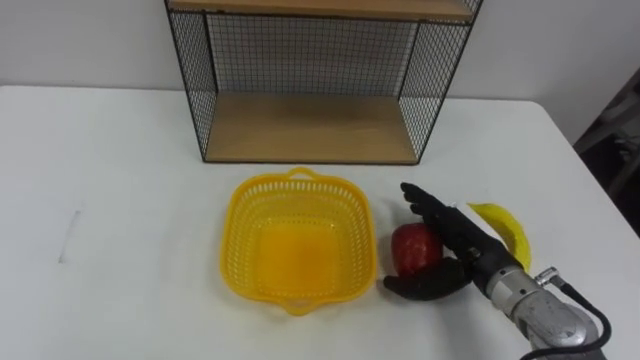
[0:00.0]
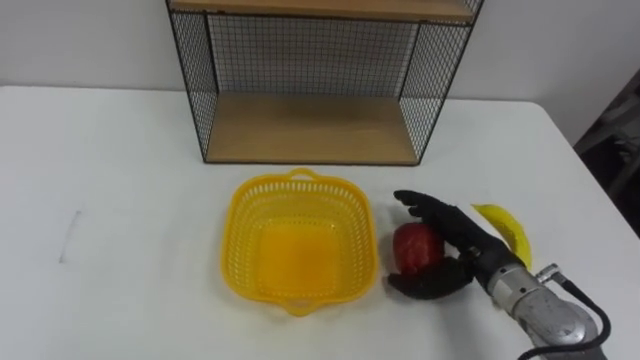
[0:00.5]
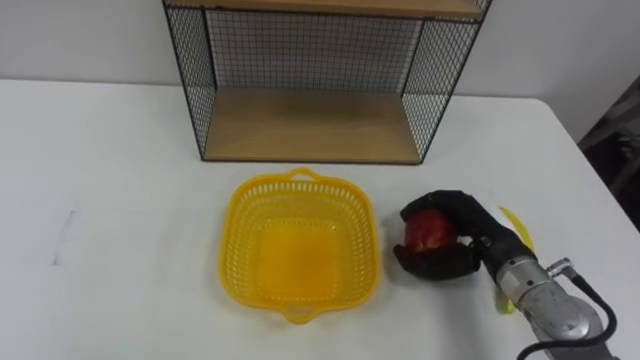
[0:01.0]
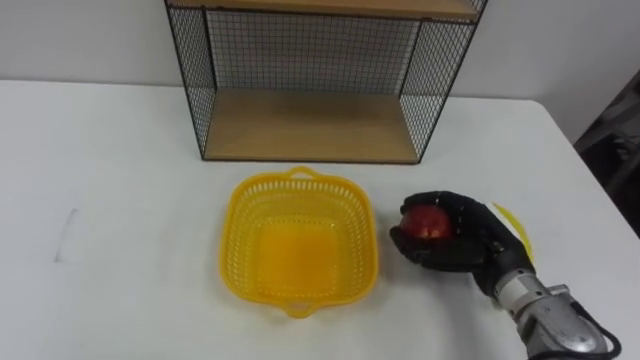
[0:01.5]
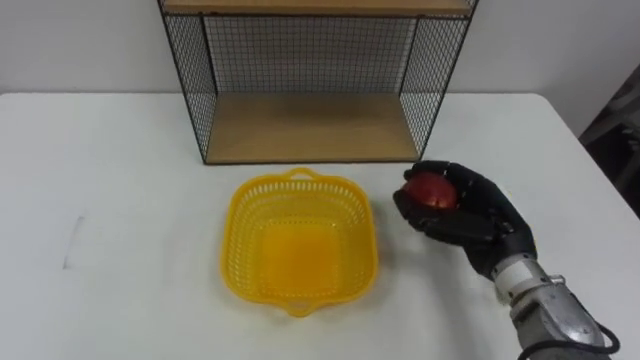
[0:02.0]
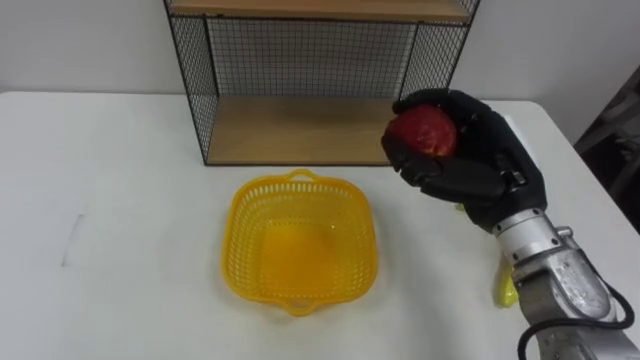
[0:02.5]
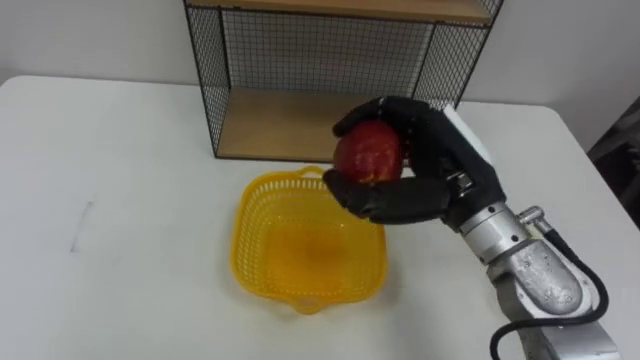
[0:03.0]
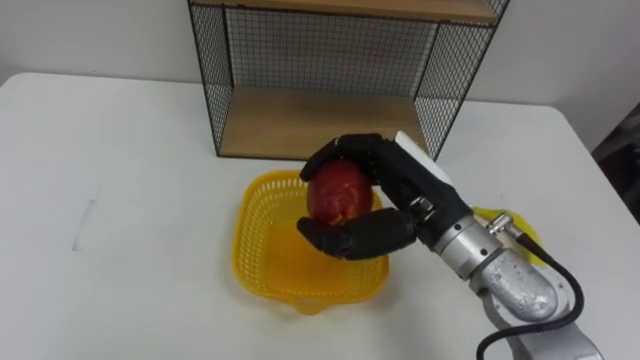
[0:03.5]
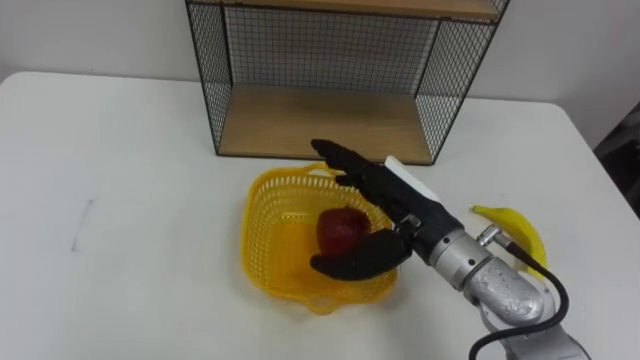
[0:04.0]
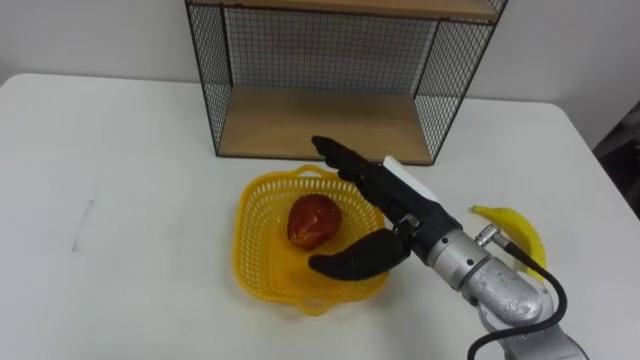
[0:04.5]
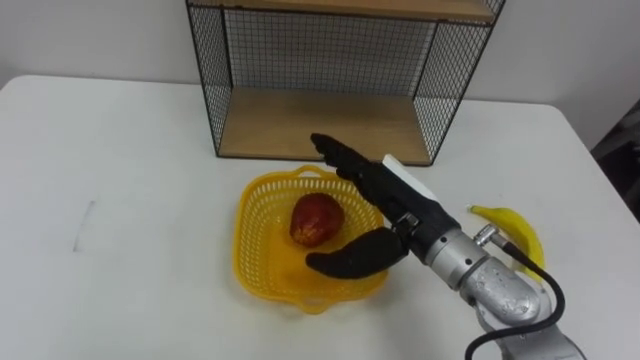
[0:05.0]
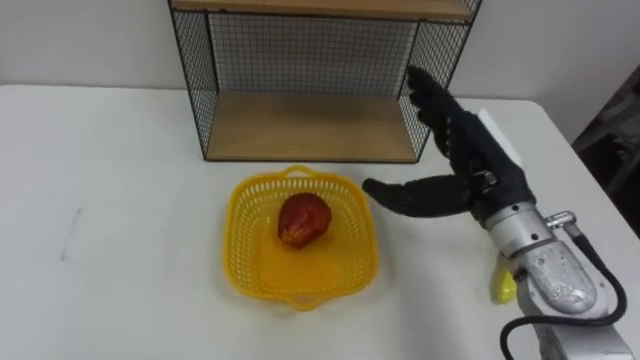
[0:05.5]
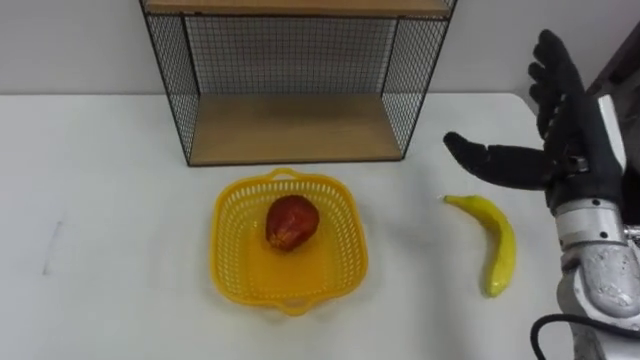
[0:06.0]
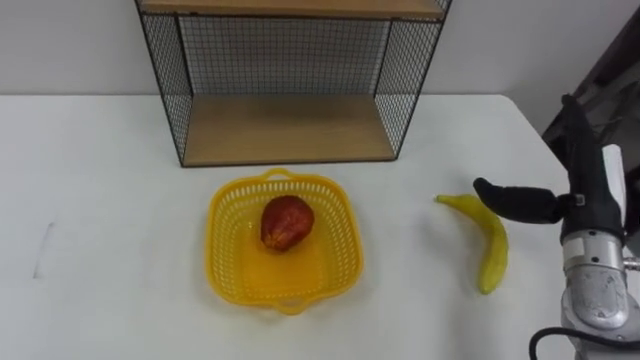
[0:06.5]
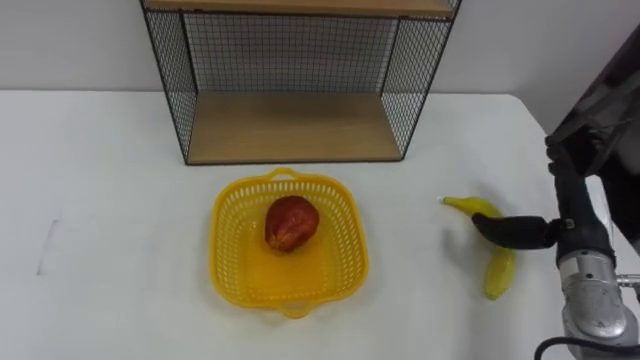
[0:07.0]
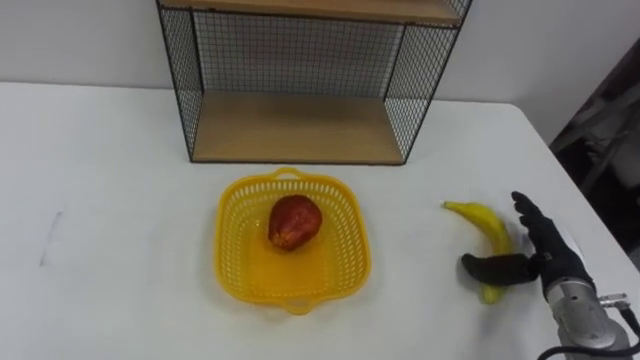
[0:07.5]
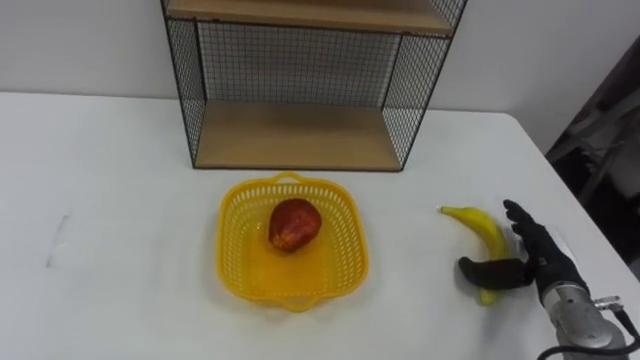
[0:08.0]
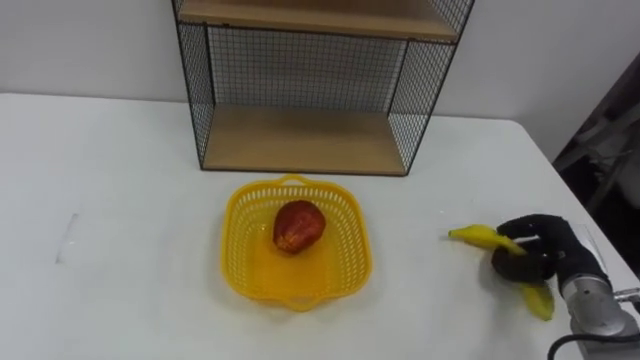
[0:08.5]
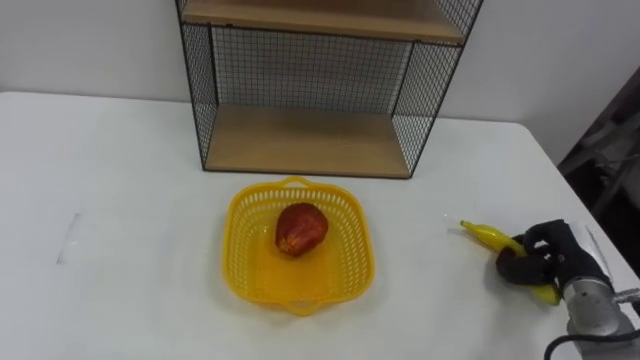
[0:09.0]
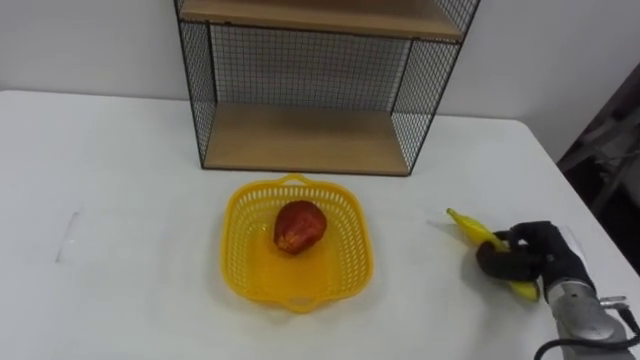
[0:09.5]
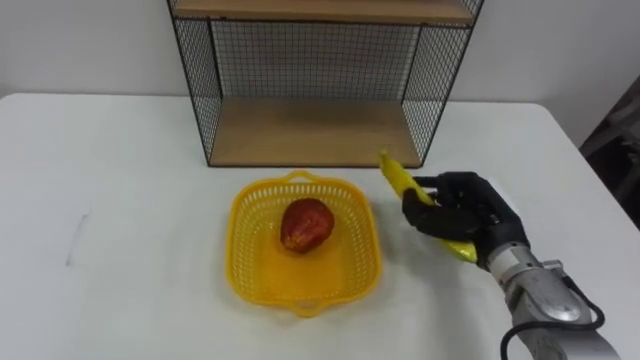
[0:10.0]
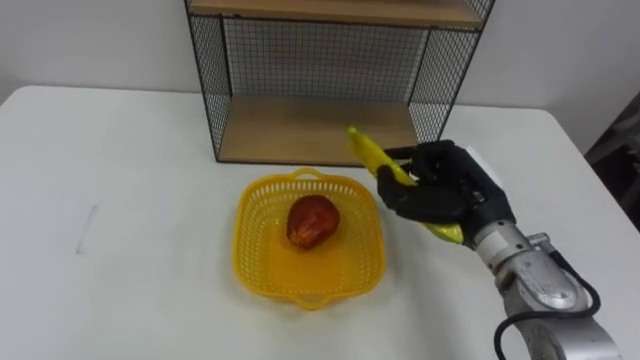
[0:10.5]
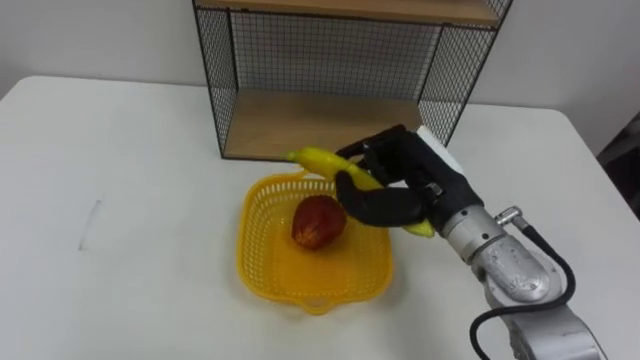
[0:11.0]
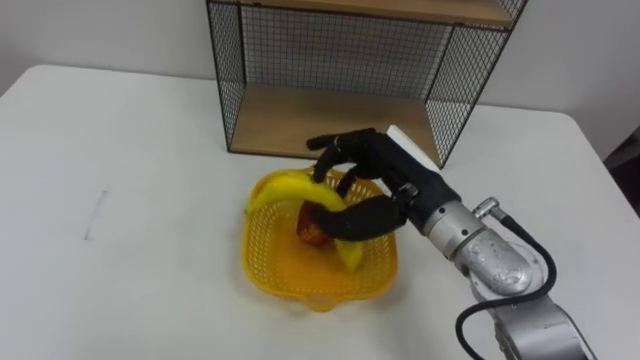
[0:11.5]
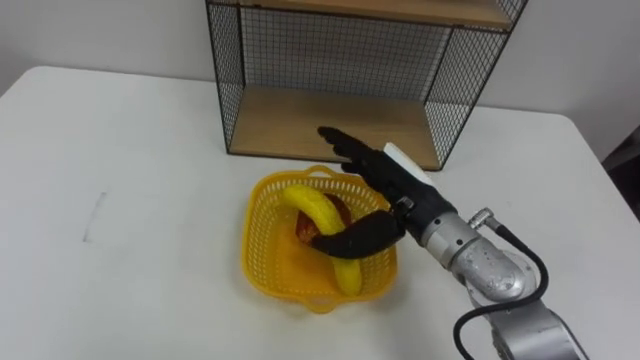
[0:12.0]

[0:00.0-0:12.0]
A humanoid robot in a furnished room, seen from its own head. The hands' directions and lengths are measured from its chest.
Task of the whole recording: Put the fruit on the table into the basket, then place the basket on the shelf.
0:00.0 to 0:02.0: The right hand closes its fingers.
0:02.0 to 0:04.0: The right hand goes some 10 cm to the left and upward, and opens up.
0:04.0 to 0:06.0: The right hand shifts roughly 15 cm to the right.
0:06.0 to 0:08.0: The right hand goes roughly 20 cm downward.
0:08.0 to 0:10.0: The right hand shifts roughly 10 cm to the left and upward, and closes.
0:10.0 to 0:12.0: The right hand moves to the left and upward, some 15 cm, and opens.

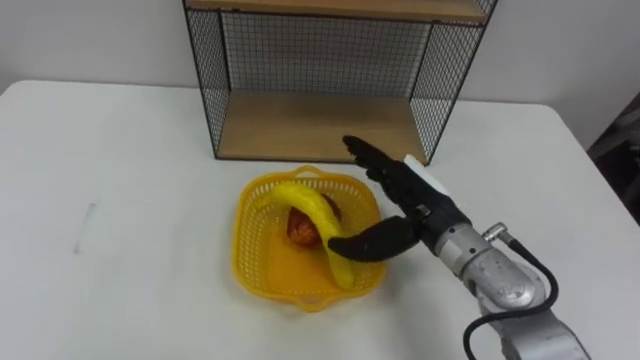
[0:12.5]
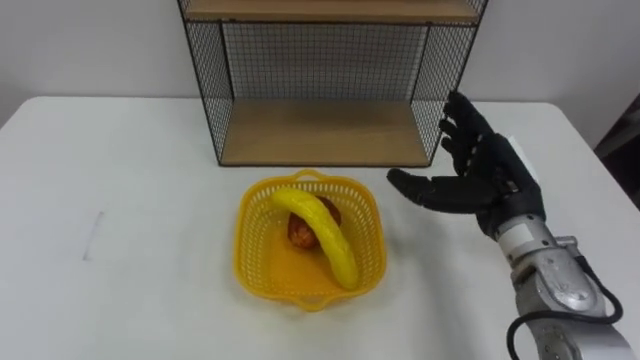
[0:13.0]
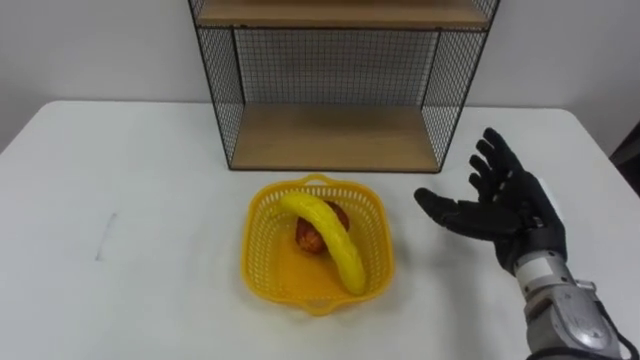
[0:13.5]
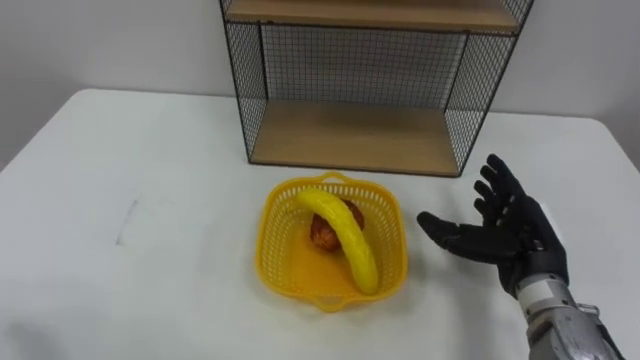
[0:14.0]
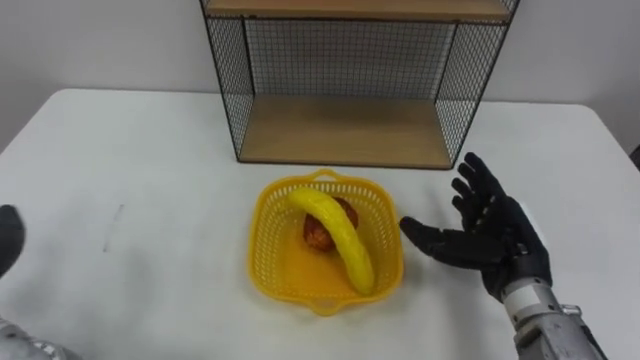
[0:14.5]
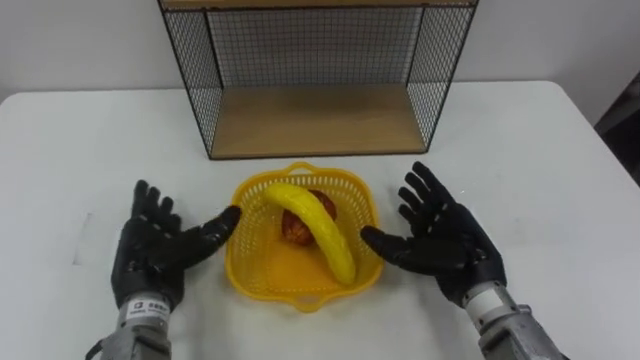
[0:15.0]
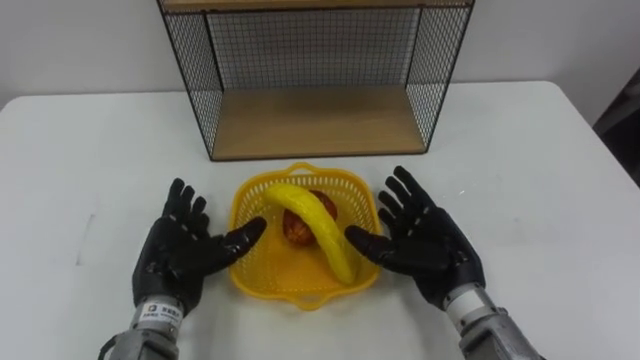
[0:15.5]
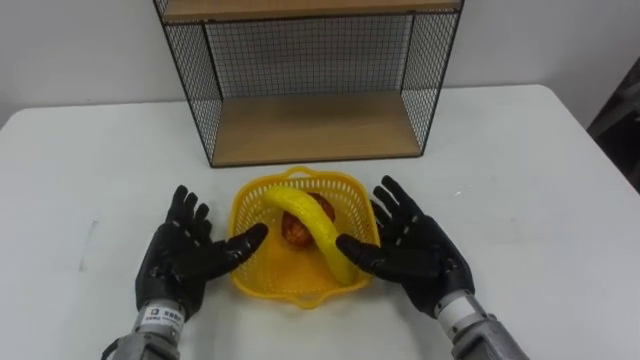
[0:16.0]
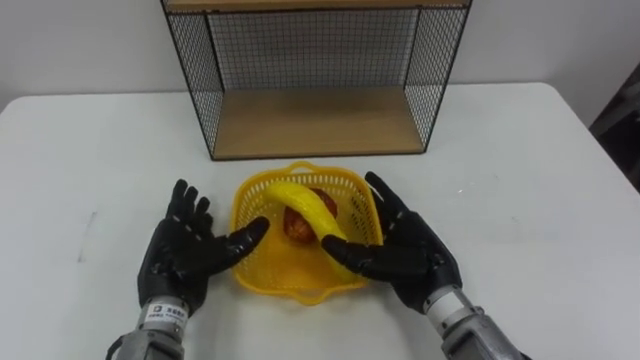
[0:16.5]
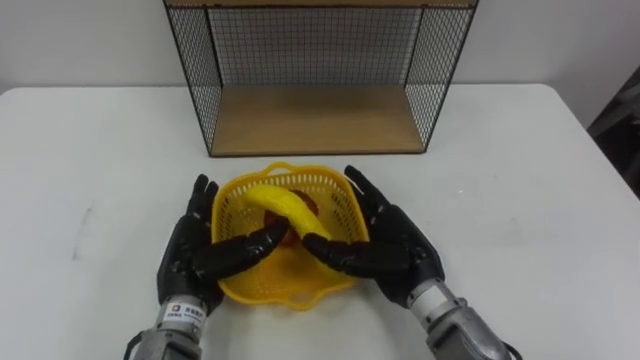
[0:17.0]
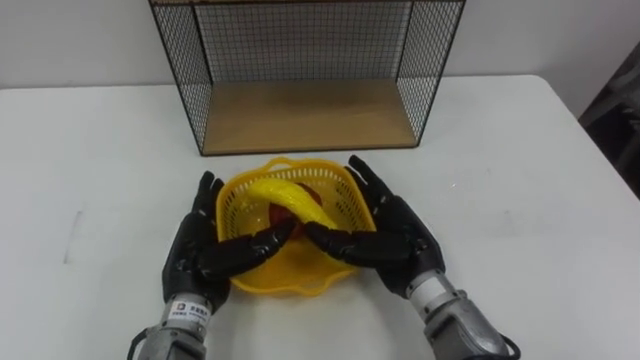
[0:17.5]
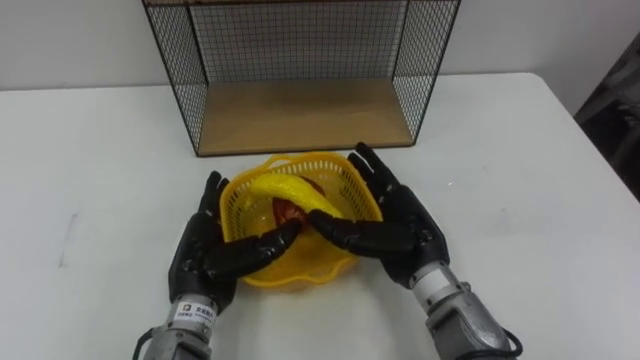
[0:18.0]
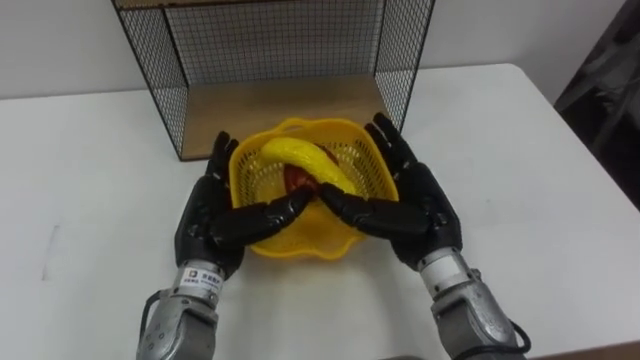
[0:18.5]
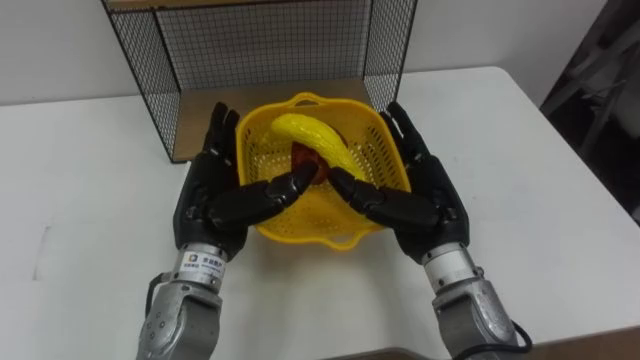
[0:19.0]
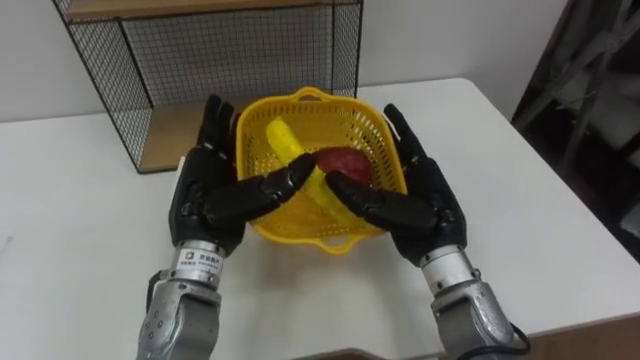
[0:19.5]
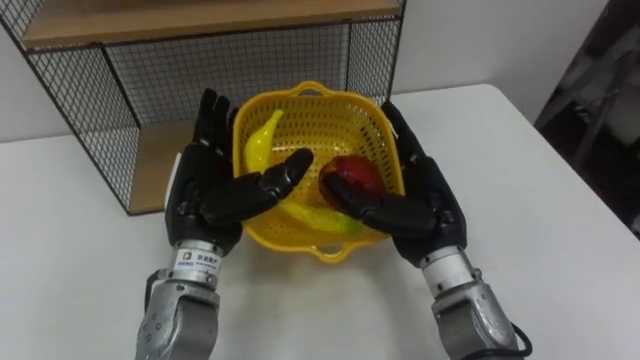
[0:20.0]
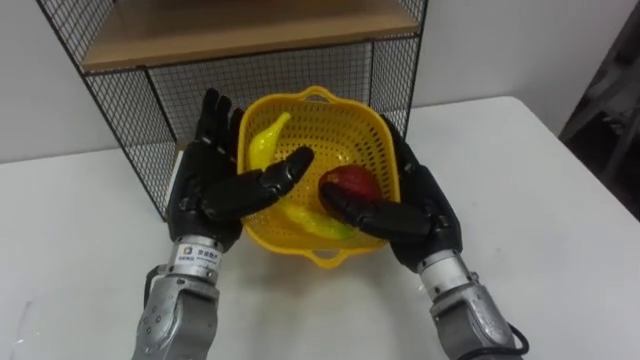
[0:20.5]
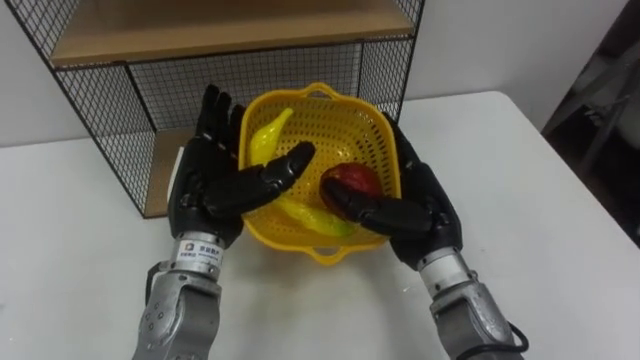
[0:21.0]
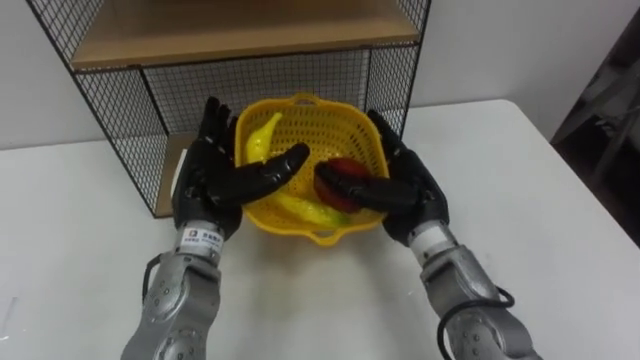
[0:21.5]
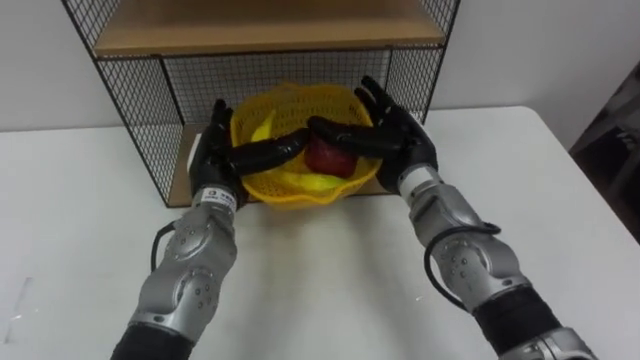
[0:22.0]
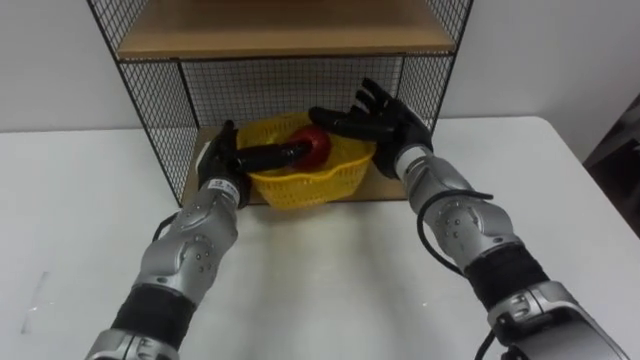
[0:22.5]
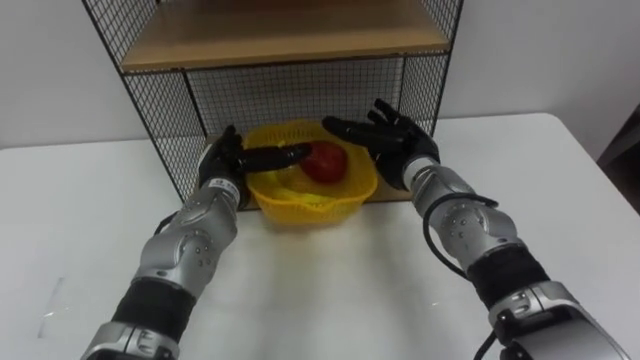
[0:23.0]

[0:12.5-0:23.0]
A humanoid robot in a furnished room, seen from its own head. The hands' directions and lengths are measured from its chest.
Task of the whole recording: Put the fruit on the table into the basket, then place the basket on the shelf.
0:12.5 to 0:14.5: The right hand shifts approximately 10 cm to the right.
0:14.5 to 0:16.5: The right hand is displaced to the left by about 10 cm.
0:16.5 to 0:19.0: The right hand travels upward by approximately 5 cm; the left hand travels upward and to the right by approximately 10 cm.
0:21.0 to 0:23.0: The left hand goes some 10 cm forward and downward; the right hand heads forward, covering roughly 10 cm.
